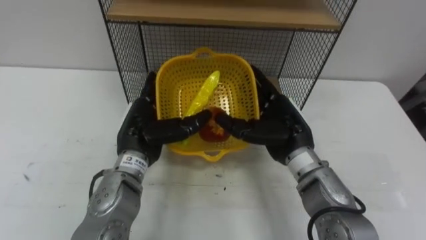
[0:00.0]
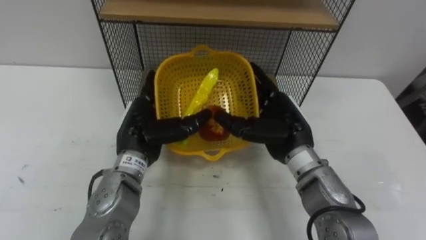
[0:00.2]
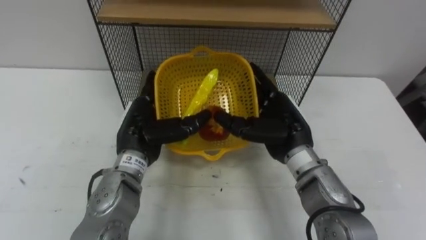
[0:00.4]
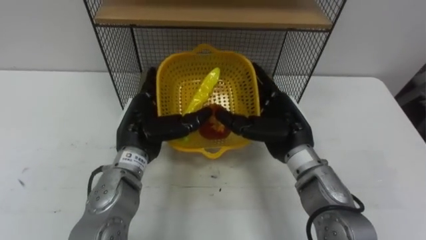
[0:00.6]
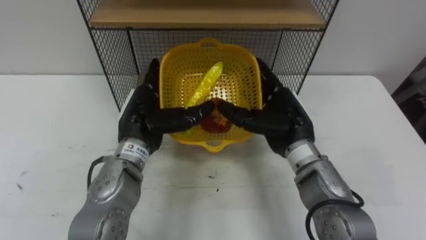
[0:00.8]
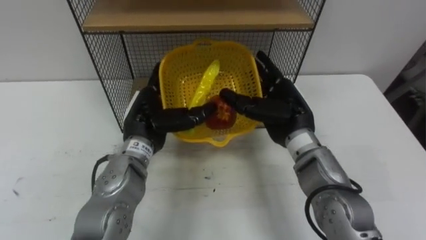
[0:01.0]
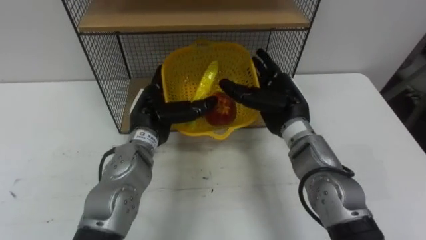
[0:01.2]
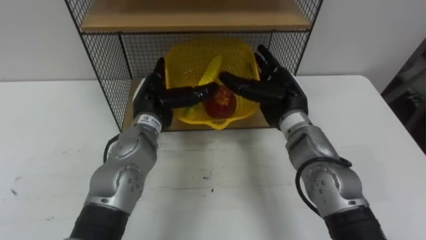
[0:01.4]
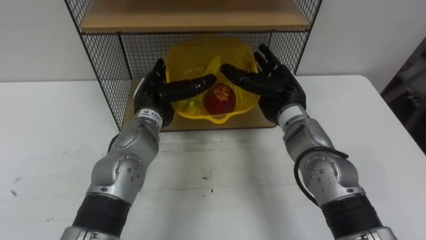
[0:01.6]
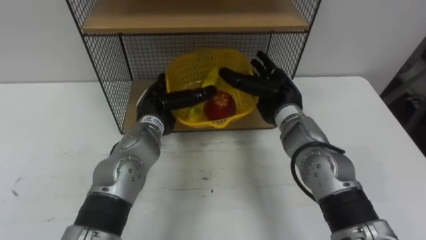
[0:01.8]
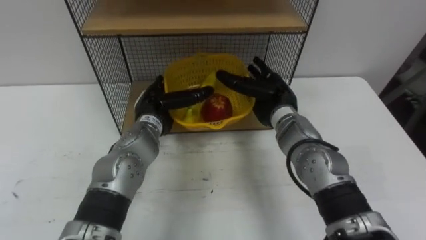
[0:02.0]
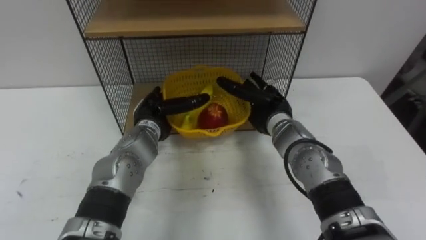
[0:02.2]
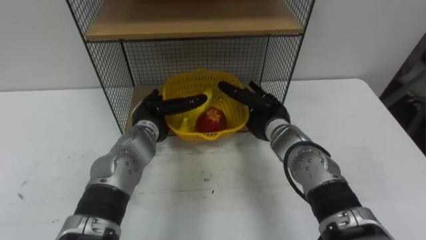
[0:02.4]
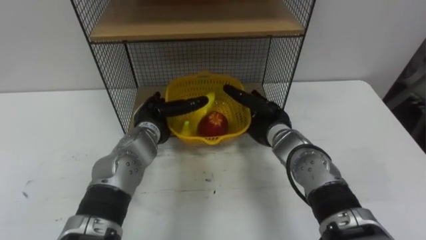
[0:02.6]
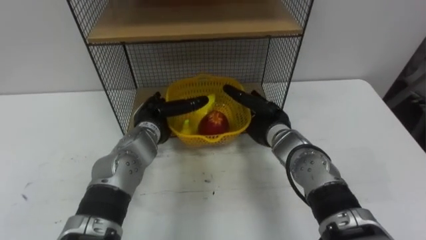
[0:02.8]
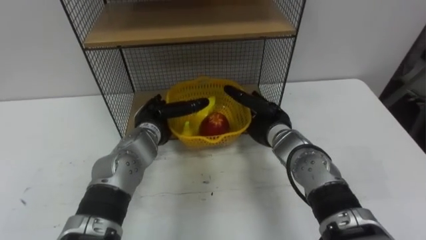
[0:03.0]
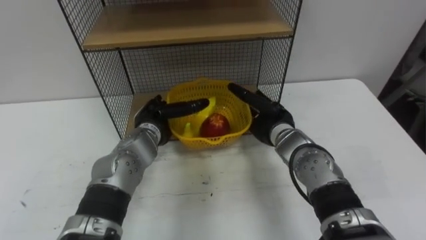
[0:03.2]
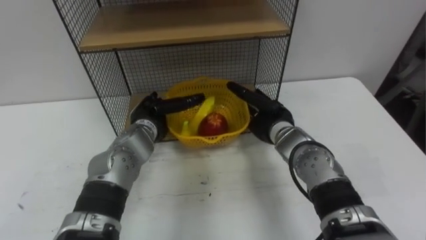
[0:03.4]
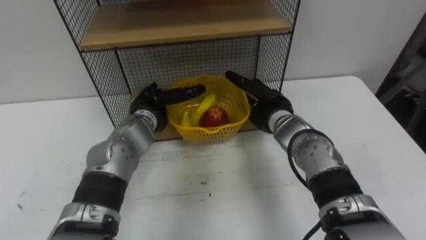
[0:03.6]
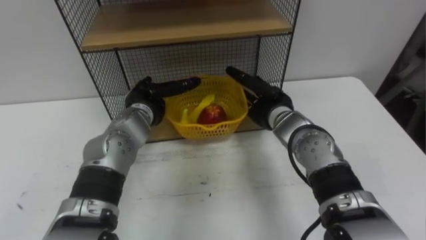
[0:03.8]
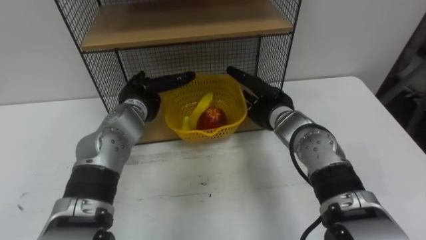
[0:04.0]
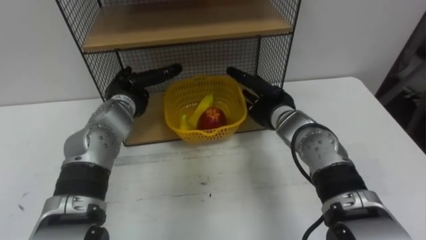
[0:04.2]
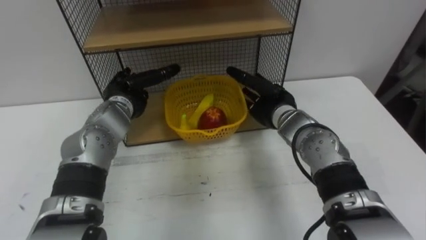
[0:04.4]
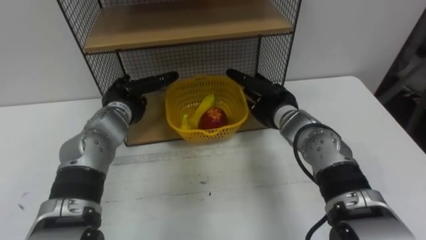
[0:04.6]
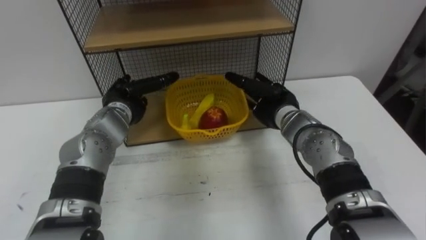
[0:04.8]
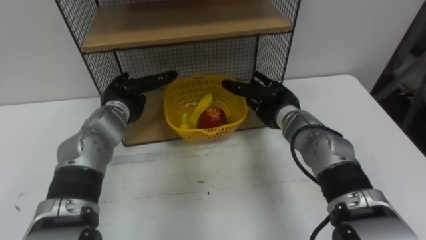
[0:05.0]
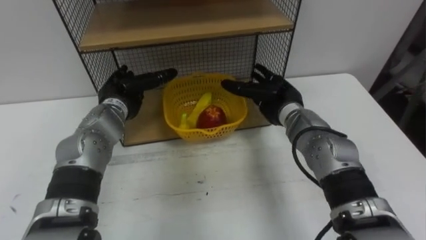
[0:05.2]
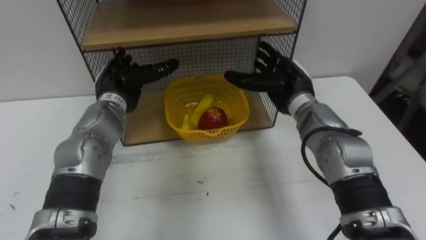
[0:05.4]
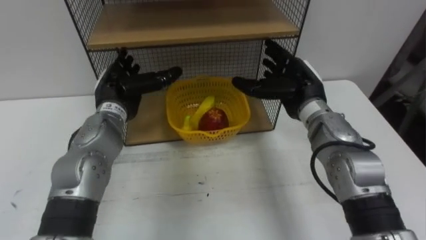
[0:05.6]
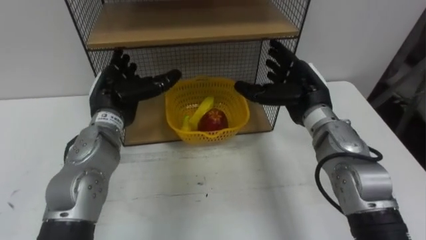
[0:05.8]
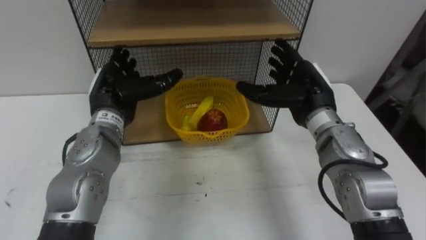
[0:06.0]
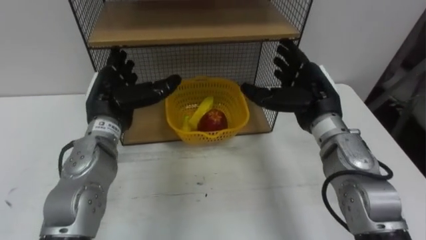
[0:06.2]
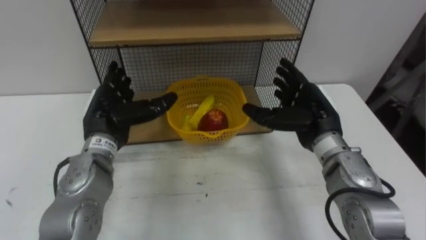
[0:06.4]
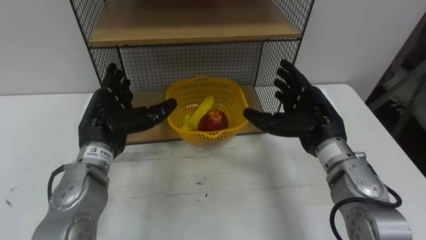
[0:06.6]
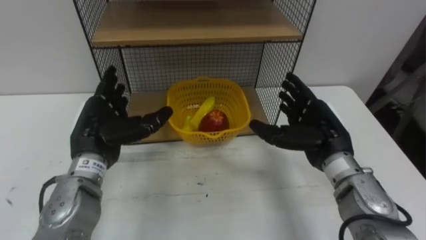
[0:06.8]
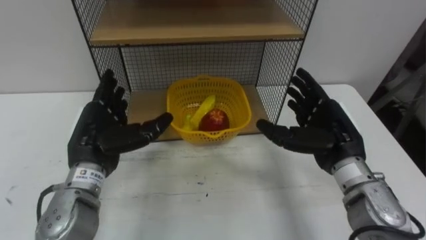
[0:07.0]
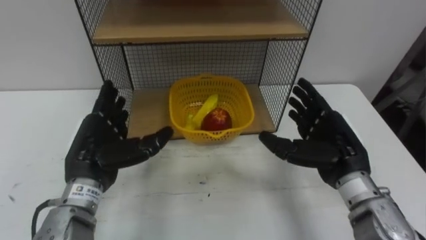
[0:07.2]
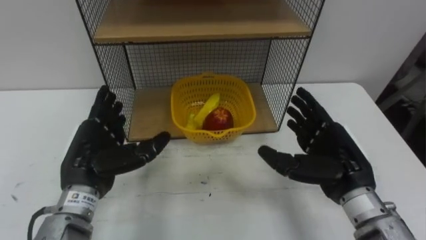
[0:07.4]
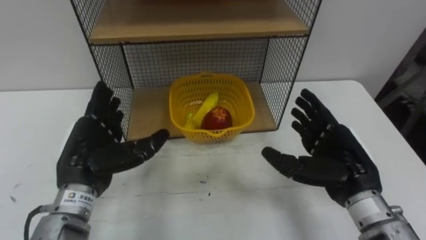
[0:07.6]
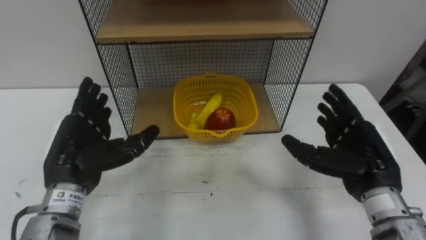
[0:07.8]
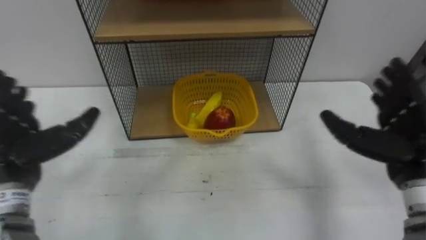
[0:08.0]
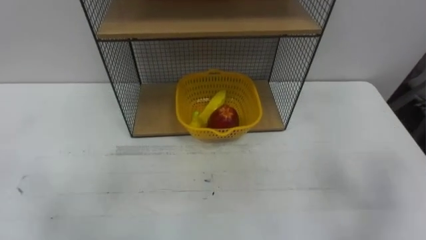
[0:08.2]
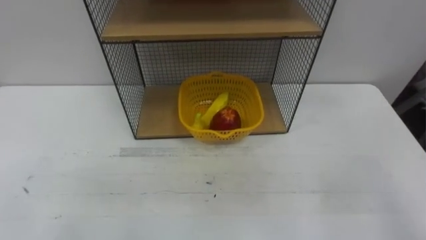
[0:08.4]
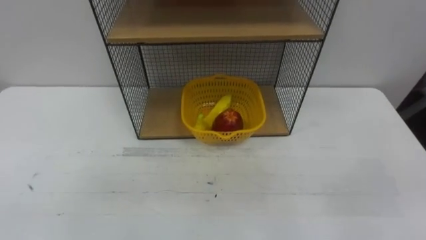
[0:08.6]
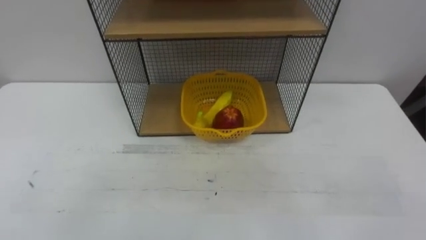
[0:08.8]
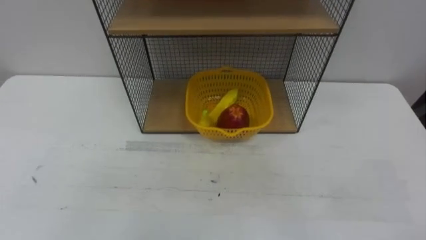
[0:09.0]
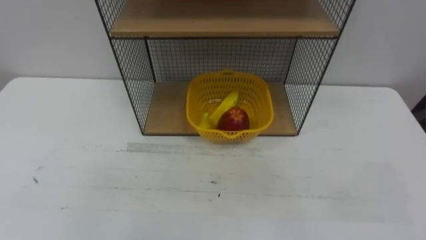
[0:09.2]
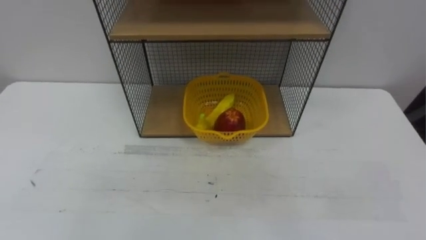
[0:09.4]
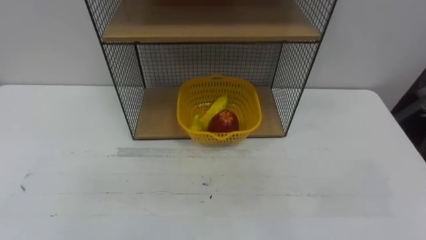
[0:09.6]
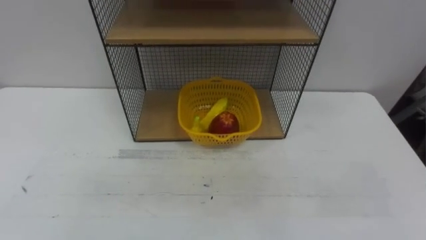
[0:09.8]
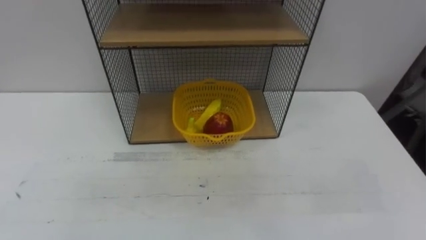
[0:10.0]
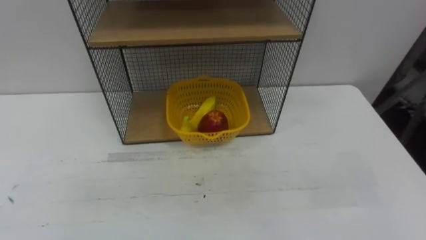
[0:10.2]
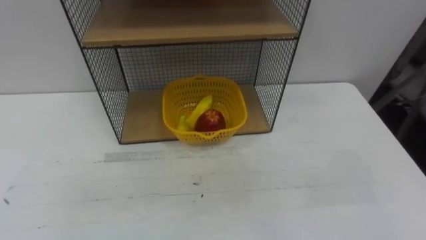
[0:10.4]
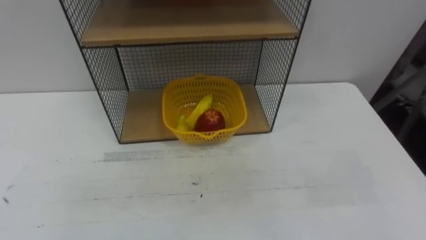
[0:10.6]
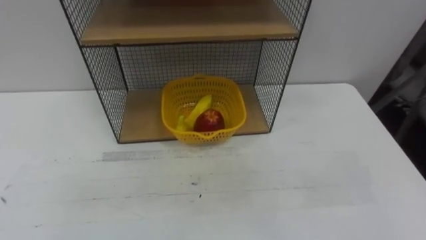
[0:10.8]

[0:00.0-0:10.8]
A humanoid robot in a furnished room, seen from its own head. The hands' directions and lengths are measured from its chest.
Task of the whole recording: Put the fruit on the table into the basket, then place the basket on the shelf.
0:00.0 to 0:01.6: The hands both shift forward by some 5 cm.
0:01.6 to 0:03.0: Both hands travel together downward, about 5 cm.
0:03.0 to 0:04.6: The left hand moves to the left, about 5 cm.
0:04.6 to 0:06.2: The right hand travels upward and to the right by roughly 10 cm. Meanwhile the left hand heads upward and backward, covering approximately 10 cm.
0:06.2 to 0:07.8: The left hand heads backward, covering roughly 10 cm; the right hand moves backward and to the right, some 15 cm.

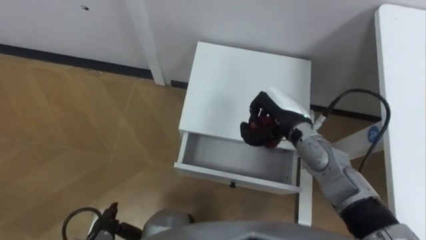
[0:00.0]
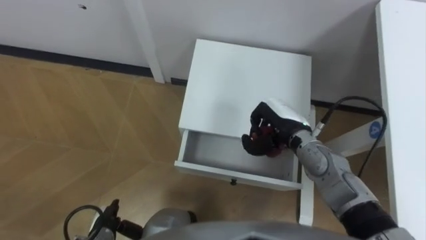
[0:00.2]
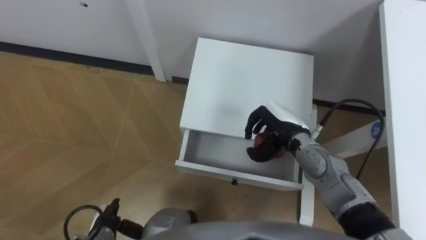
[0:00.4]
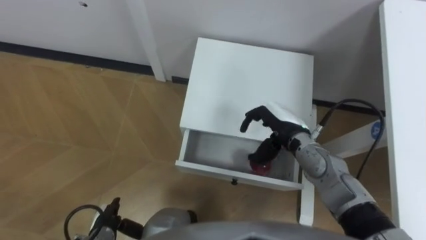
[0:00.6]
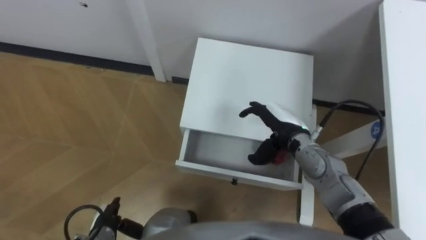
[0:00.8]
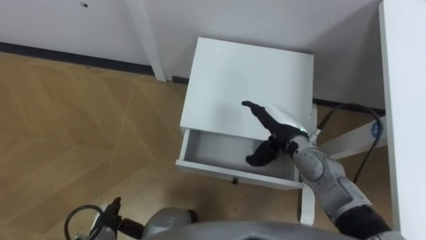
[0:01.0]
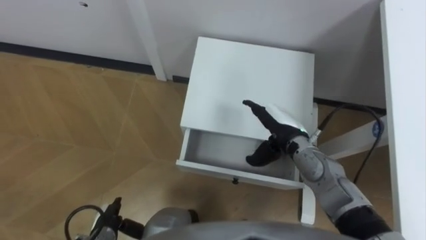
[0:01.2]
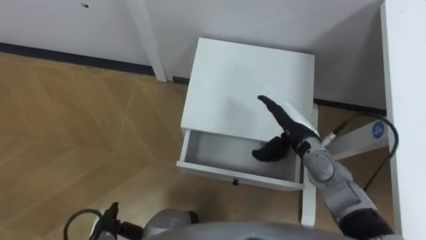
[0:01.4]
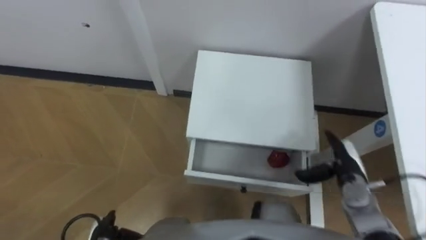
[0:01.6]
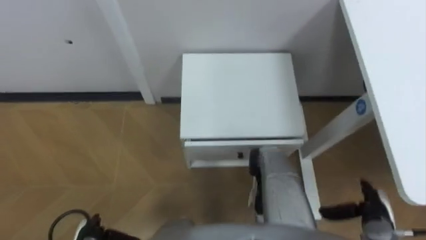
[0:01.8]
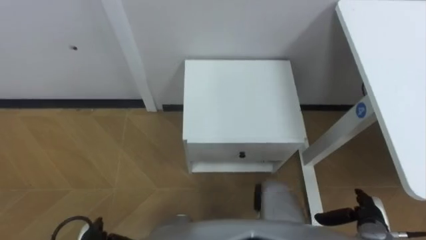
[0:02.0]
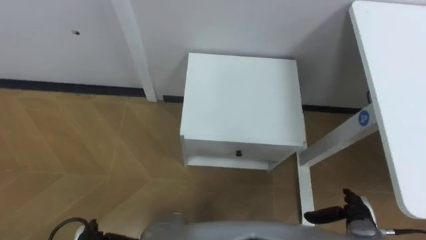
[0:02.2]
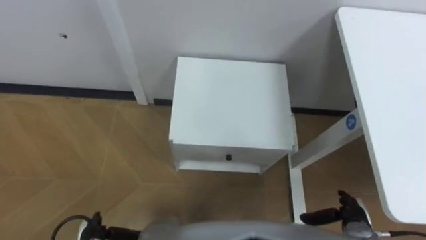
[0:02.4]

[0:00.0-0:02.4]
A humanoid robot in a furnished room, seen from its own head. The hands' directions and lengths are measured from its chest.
Task of the whole recording: Pick up the apple from the table, put it in the drawer, and close the drawer with leg.
0:00.0 to 0:01.2: The right hand opens its fingers.
0:01.2 to 0:02.4: The right hand shifts some 25 cm backward, to the right and downward.

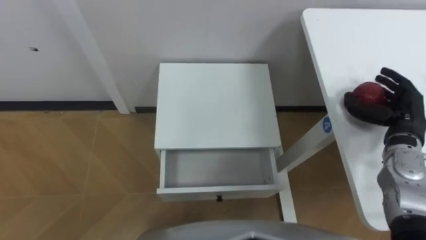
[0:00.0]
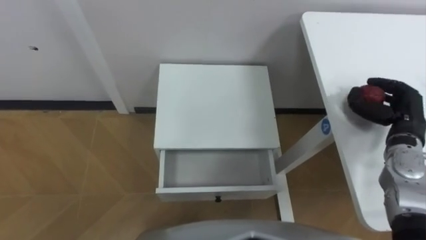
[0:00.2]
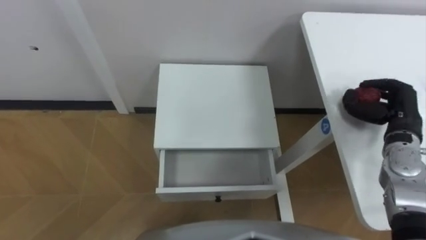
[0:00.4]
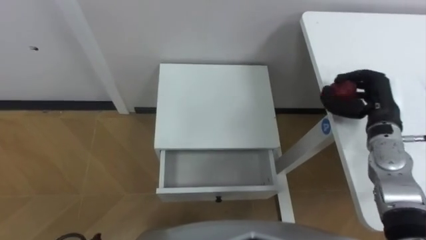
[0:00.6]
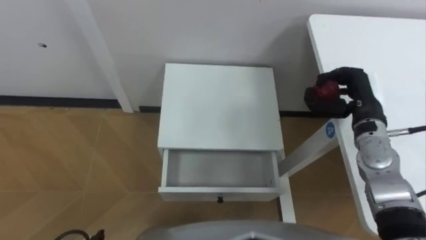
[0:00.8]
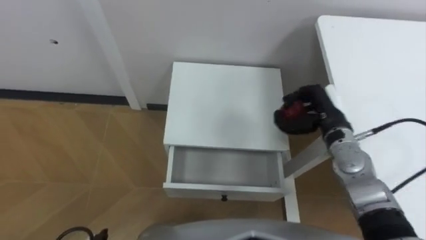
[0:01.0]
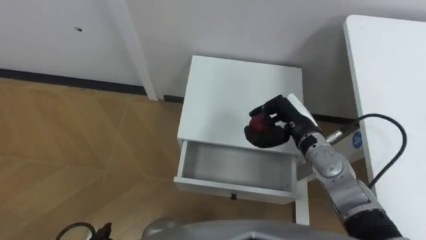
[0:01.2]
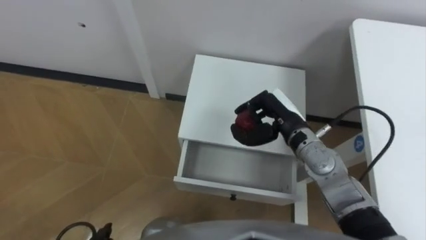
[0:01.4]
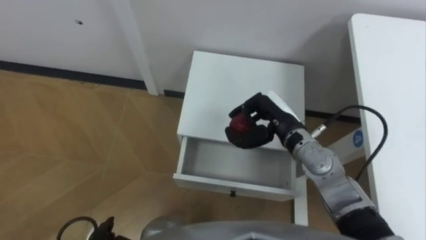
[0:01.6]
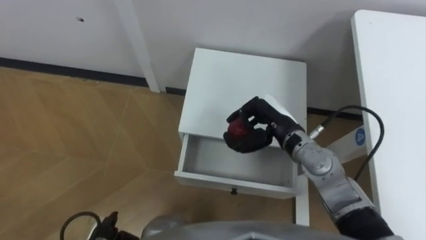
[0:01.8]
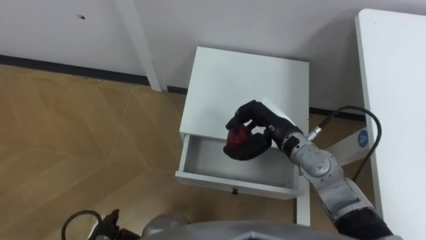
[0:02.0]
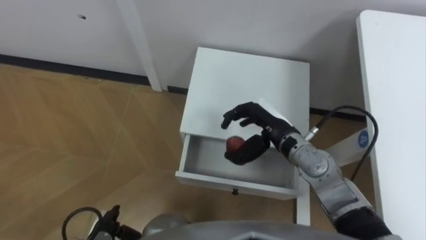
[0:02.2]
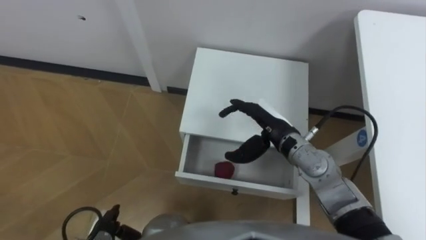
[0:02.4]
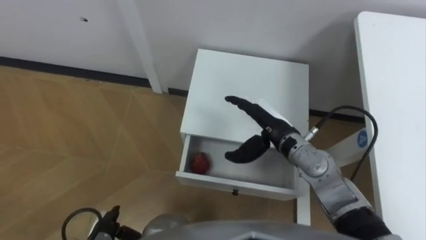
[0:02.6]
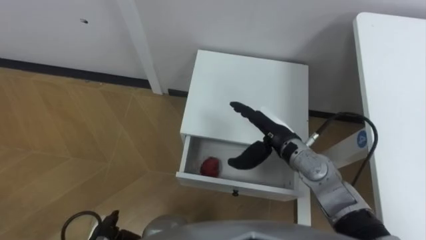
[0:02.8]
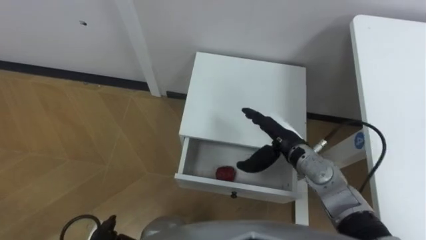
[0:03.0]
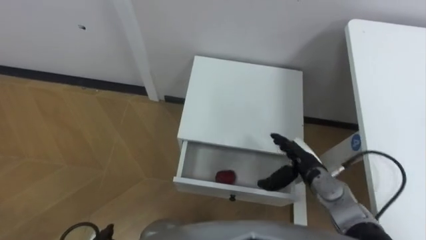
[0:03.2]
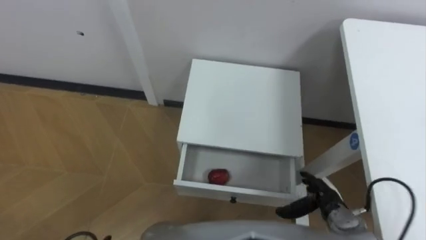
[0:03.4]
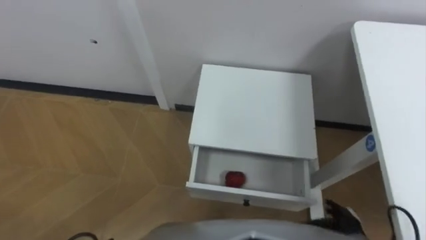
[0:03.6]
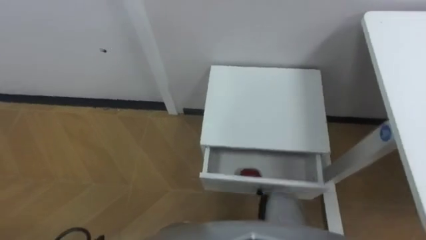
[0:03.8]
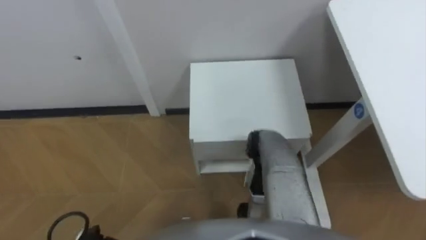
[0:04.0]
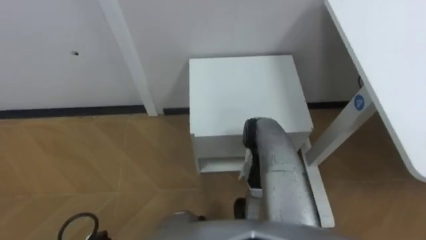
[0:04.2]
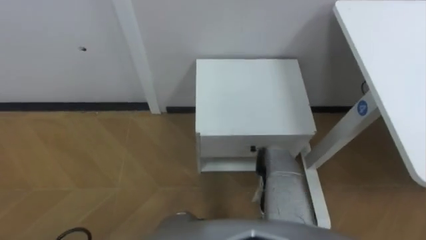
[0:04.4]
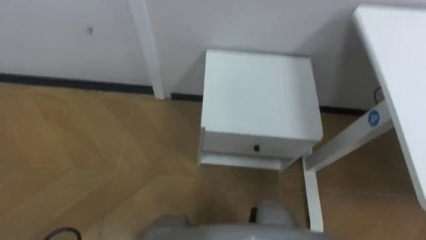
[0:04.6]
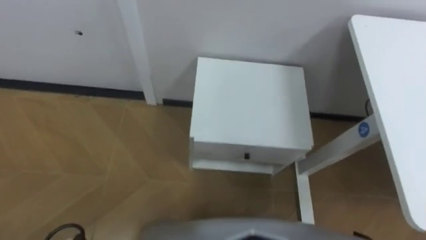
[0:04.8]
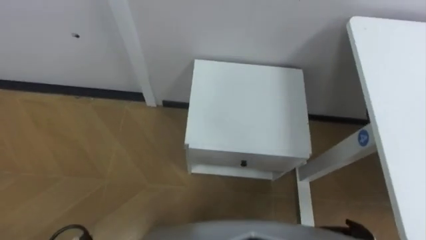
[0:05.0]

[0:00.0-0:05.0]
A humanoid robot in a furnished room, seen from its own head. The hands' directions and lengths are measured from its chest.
Task of the whole recording: Pick up the apple from the table, put it in the drawer, and close the drawer with leg.
0:00.0 to 0:01.6: The right hand is displaced to the left by some 20 cm.
0:01.6 to 0:03.4: The right hand travels downward, backward and to the right by approximately 20 cm, and opens its fingers.
